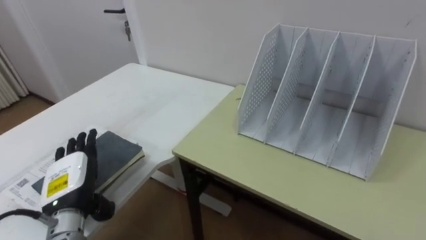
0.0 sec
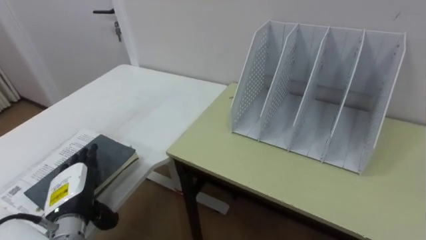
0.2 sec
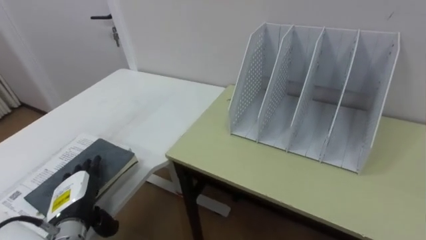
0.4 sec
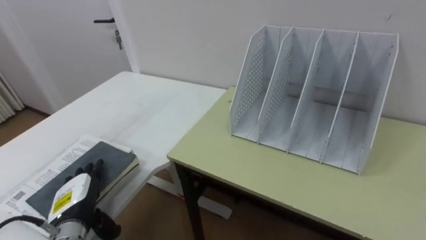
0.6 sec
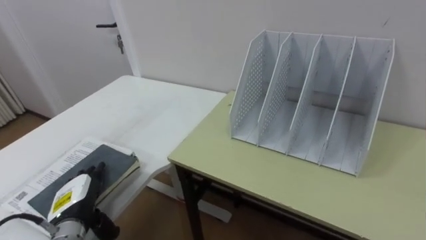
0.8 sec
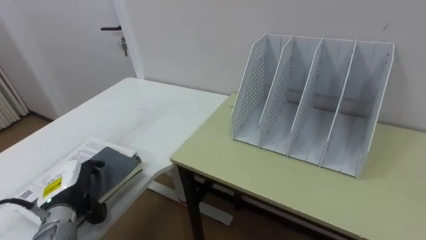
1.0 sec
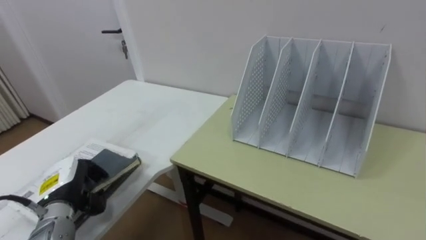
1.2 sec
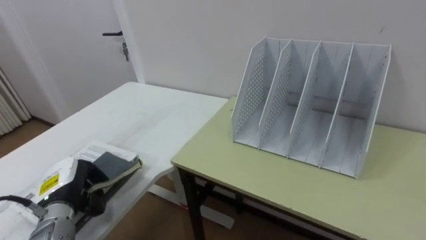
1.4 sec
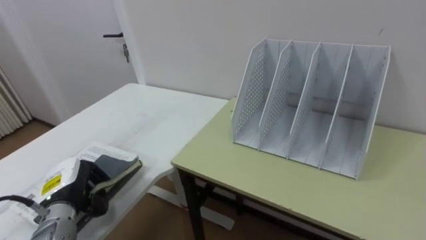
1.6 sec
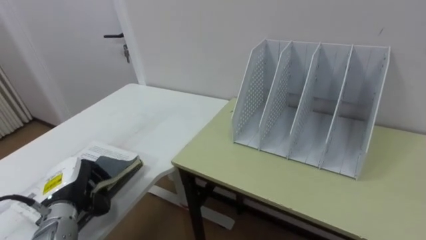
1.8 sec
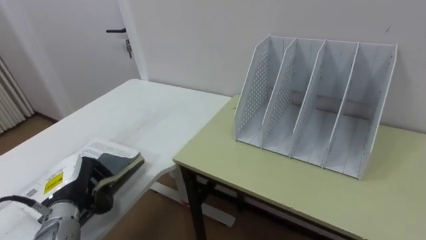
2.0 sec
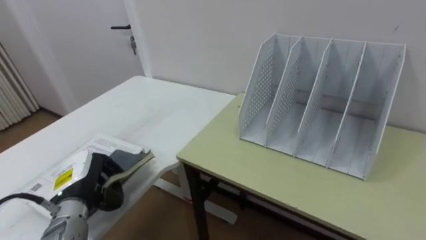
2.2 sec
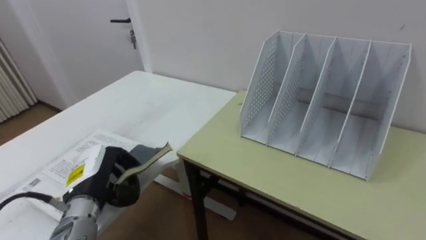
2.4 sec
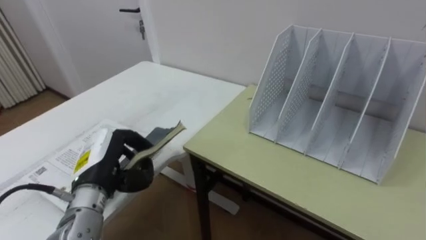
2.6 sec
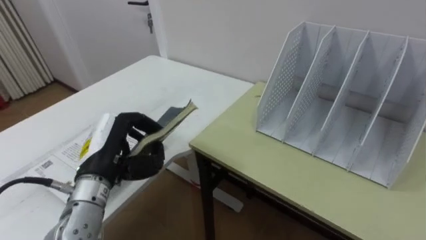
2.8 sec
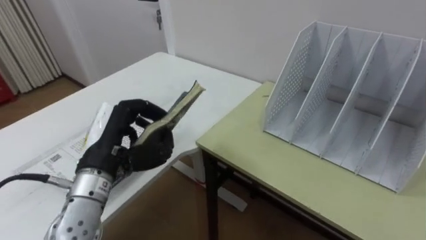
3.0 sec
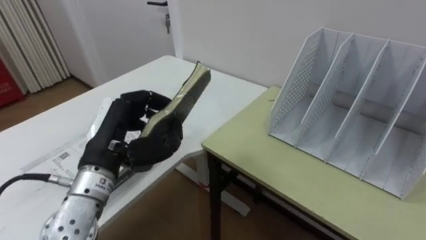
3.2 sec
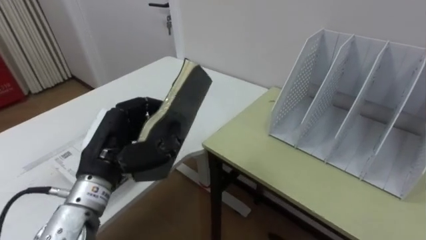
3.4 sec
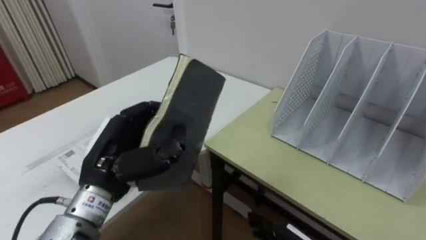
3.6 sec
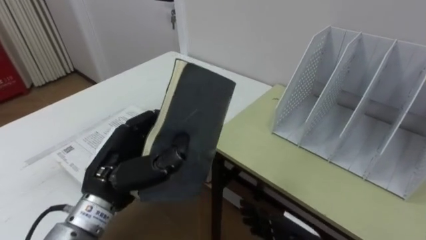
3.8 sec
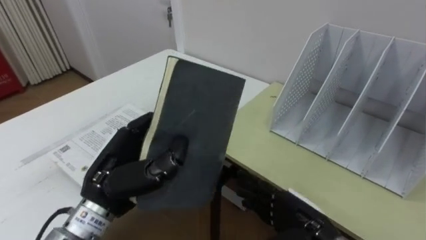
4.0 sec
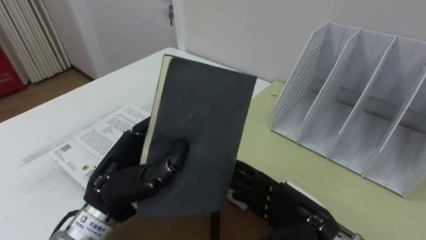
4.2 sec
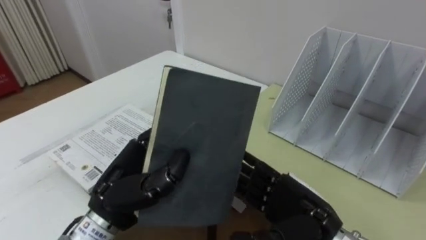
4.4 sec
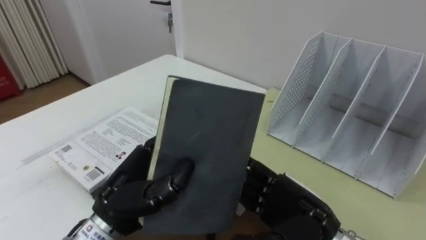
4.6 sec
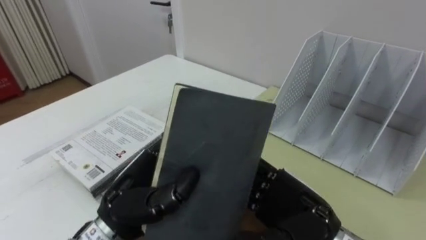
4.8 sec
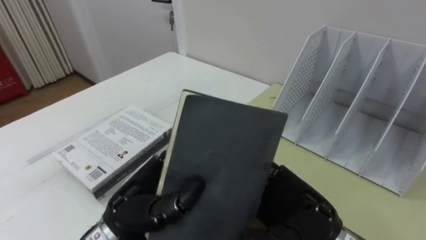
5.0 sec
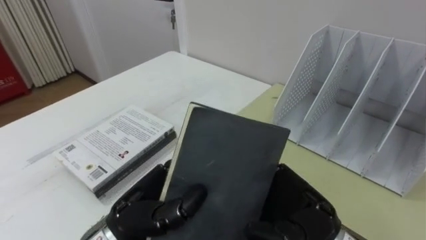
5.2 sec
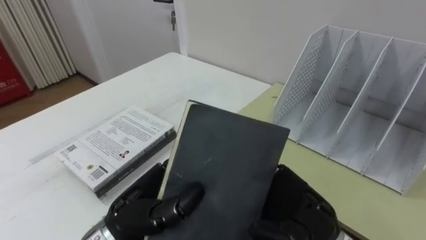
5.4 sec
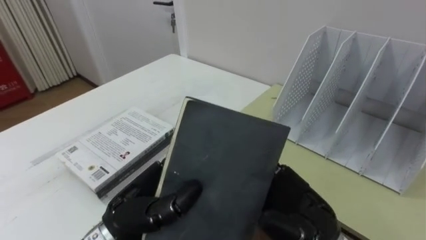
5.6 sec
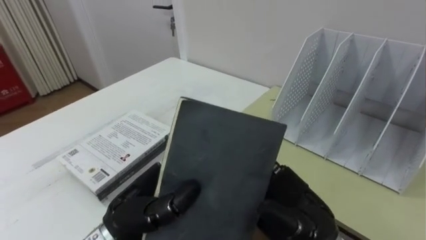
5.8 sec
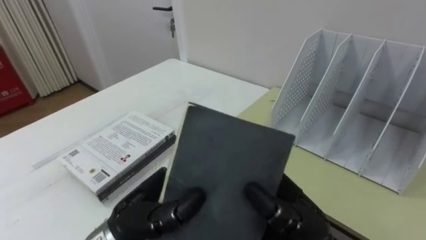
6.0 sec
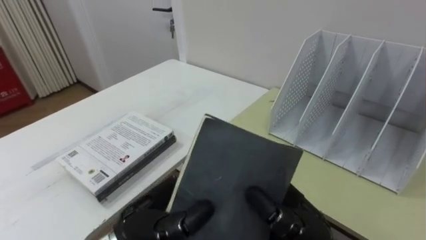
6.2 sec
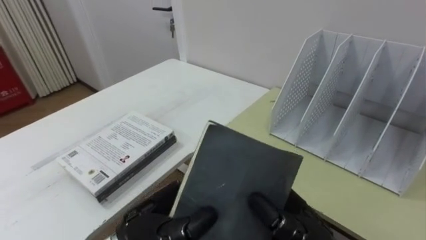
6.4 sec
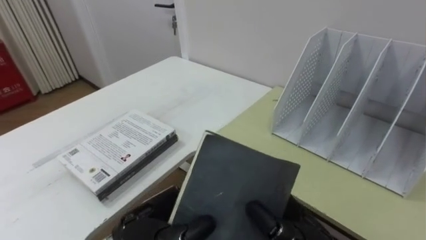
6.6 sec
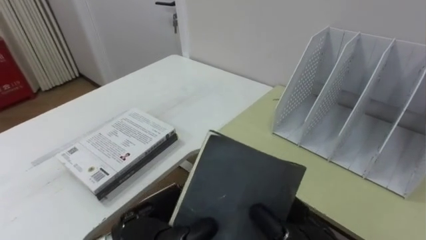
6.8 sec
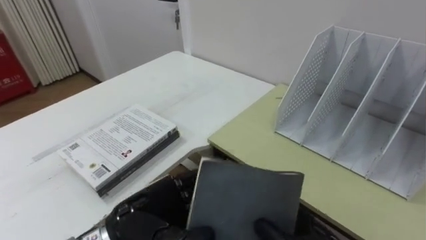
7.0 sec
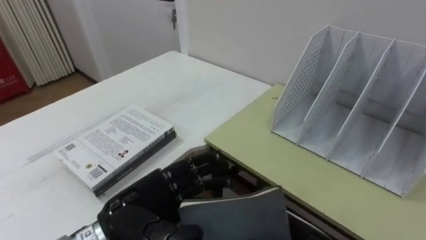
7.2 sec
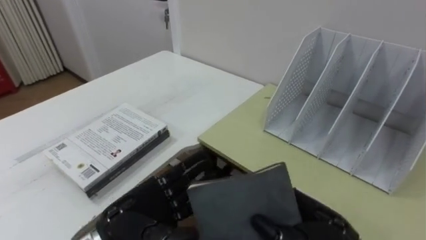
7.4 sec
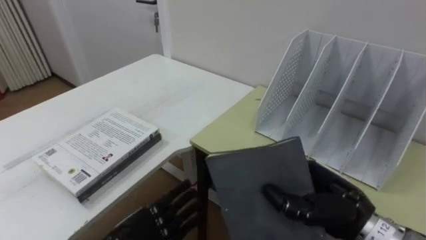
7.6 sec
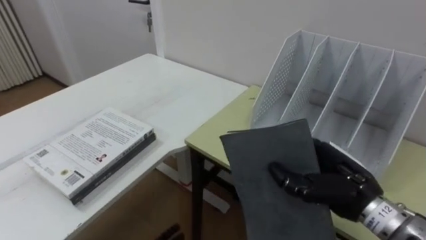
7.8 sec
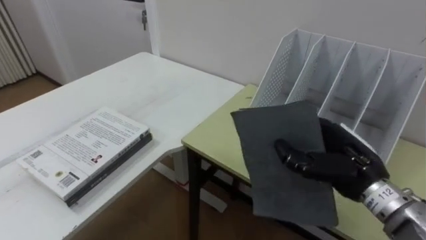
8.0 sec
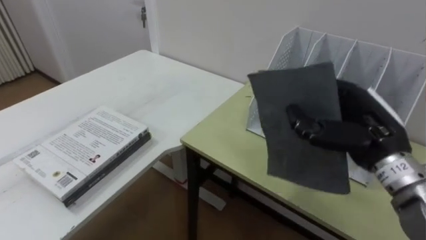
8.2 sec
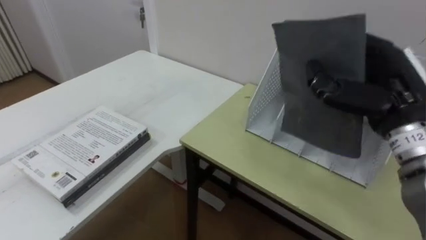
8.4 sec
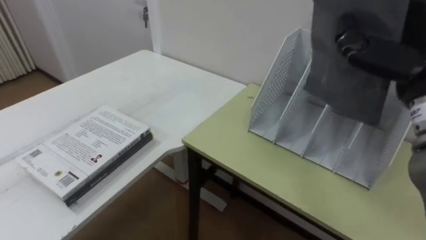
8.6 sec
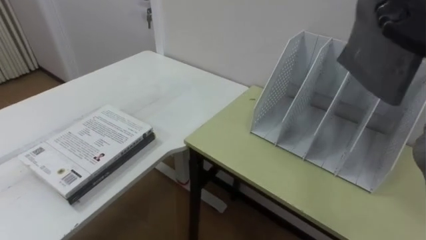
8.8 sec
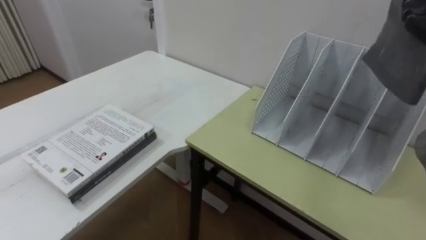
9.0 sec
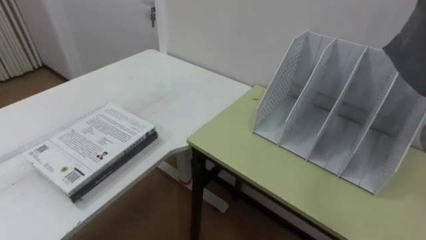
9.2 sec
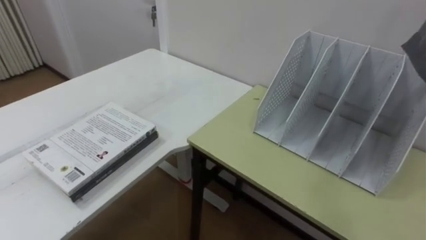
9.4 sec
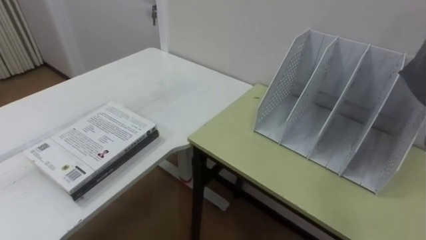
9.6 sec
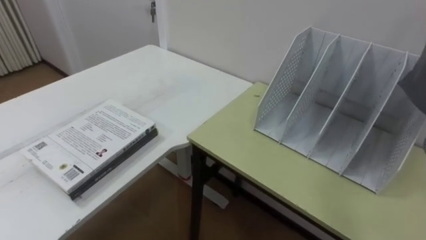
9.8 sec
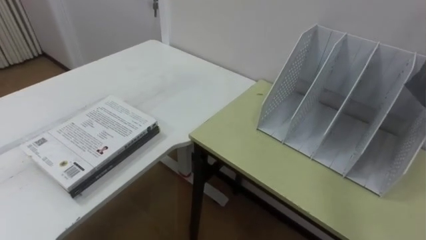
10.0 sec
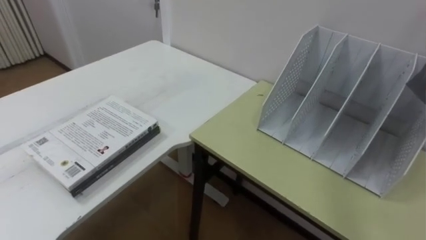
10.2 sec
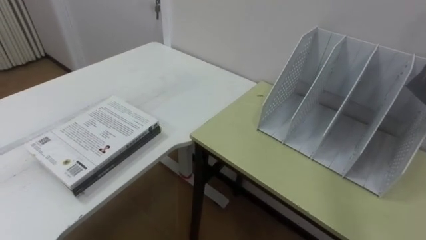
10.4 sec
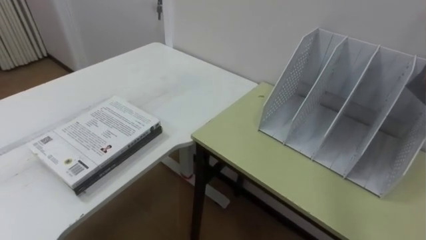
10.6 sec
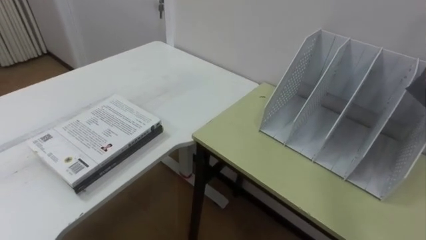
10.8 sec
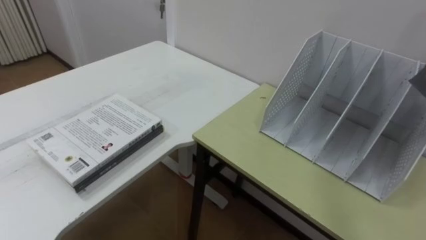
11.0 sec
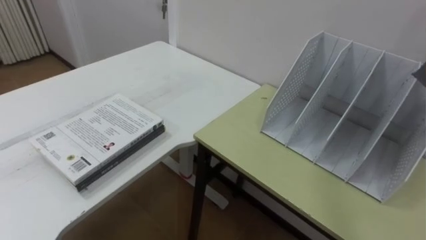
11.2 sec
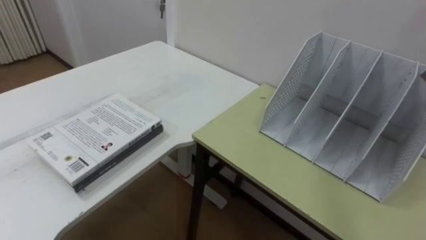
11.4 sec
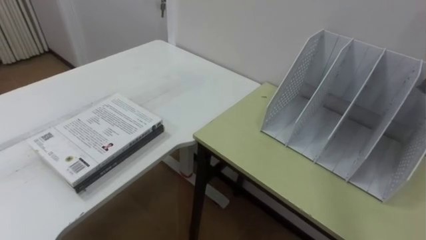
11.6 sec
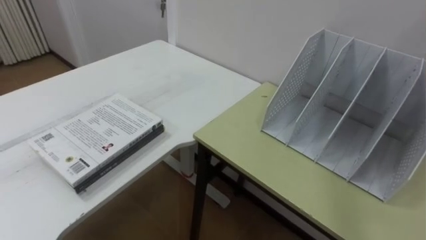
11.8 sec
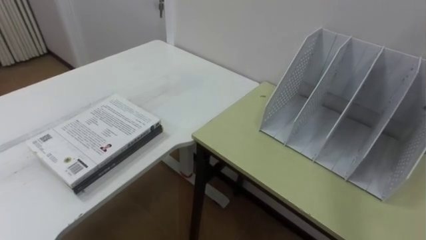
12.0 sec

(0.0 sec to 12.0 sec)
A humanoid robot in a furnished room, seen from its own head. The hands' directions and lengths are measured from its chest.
Task of the whole recording: Put the books on the table onto the bookshelf.
0.0 sec - 1.6 sec: The left hand closes.
1.6 sec - 3.0 sec: The left hand is displaced upward and to the right by roughly 15 cm.
3.0 sec - 4.4 sec: The left hand heads backward, covering roughly 5 cm.
4.4 sec - 6.0 sec: The right hand shifts by about 5 cm, and closes.
6.0 sec - 7.6 sec: The left hand heads downward, covering some 10 cm, and opens its fingers. Meanwhile the right hand travels to the right by roughly 5 cm.

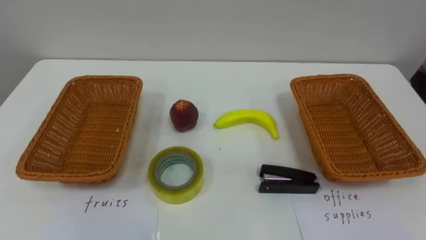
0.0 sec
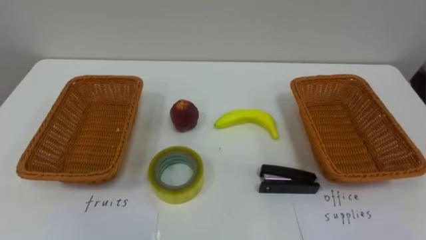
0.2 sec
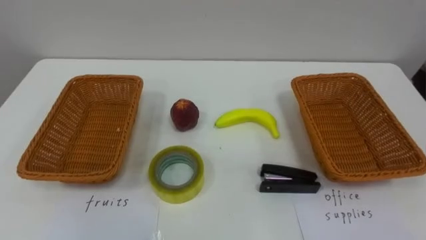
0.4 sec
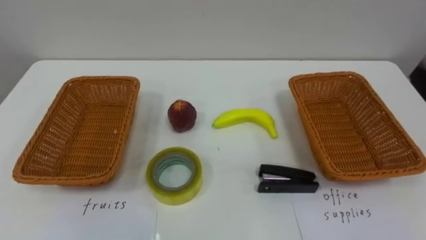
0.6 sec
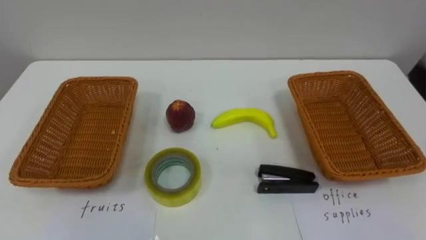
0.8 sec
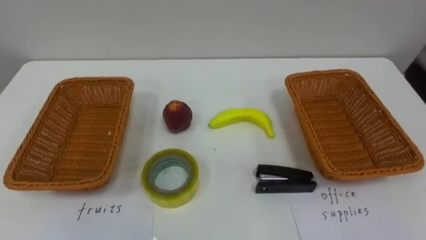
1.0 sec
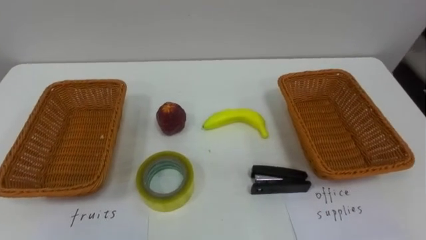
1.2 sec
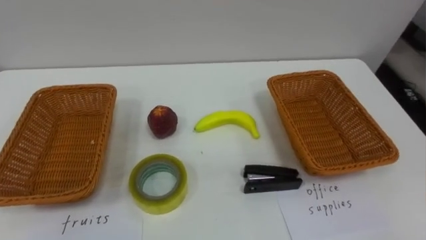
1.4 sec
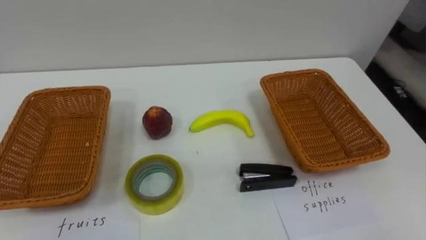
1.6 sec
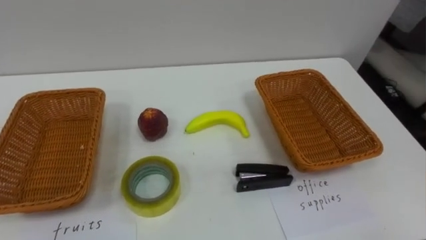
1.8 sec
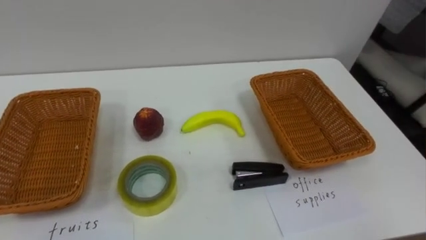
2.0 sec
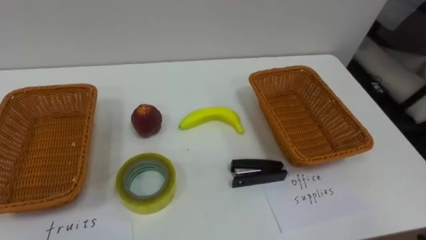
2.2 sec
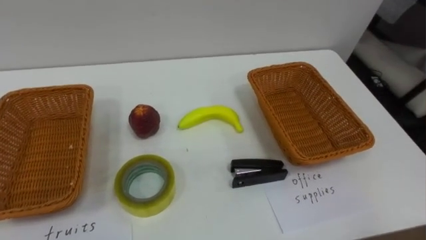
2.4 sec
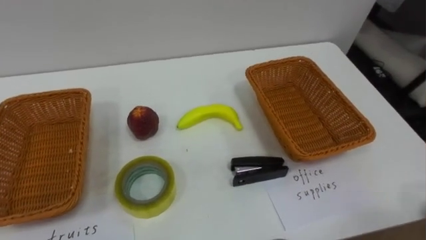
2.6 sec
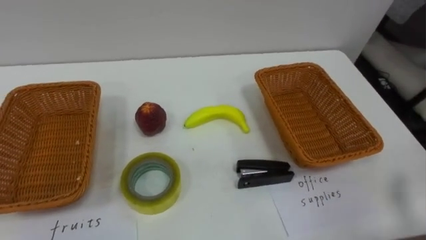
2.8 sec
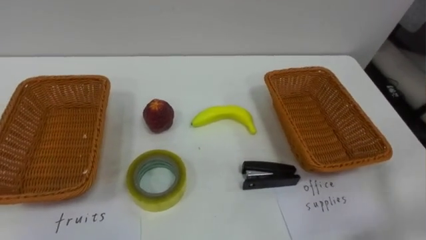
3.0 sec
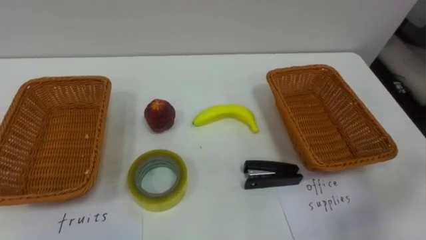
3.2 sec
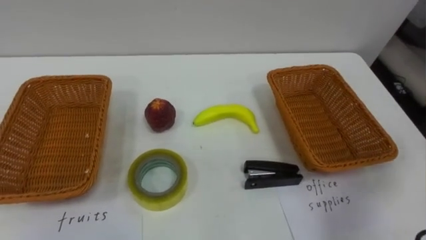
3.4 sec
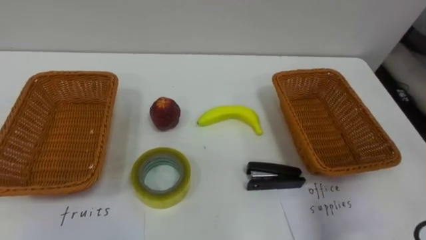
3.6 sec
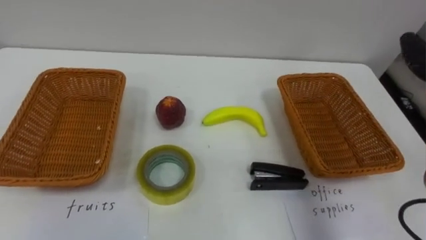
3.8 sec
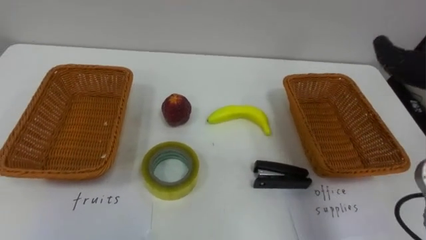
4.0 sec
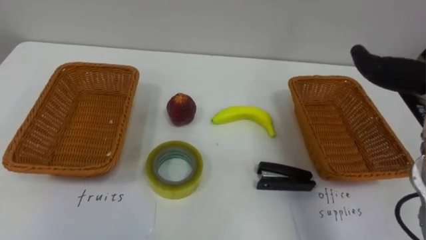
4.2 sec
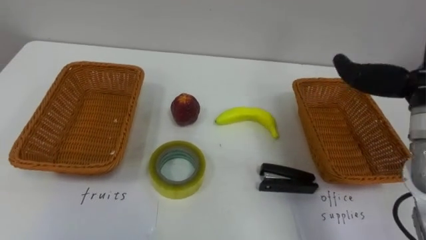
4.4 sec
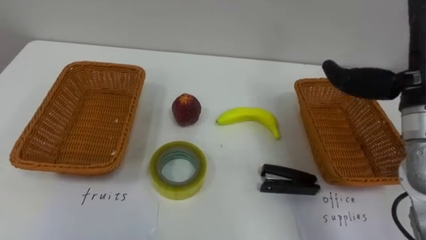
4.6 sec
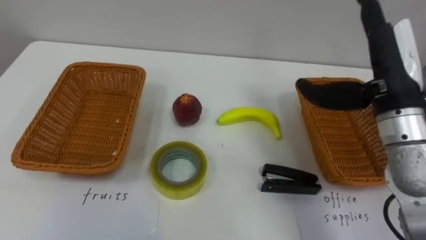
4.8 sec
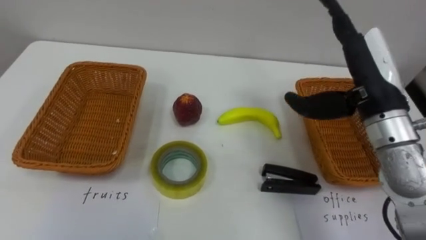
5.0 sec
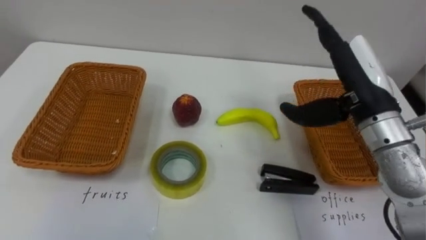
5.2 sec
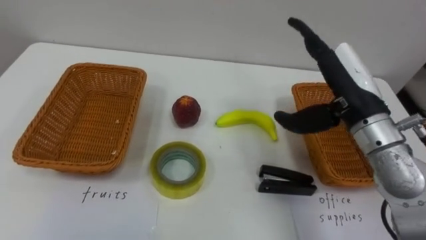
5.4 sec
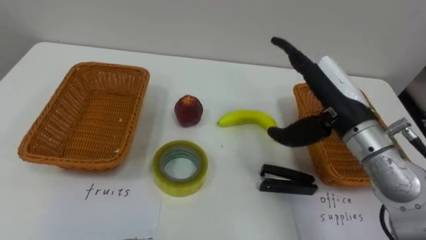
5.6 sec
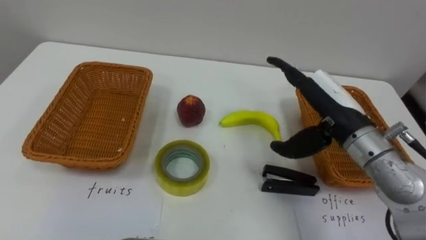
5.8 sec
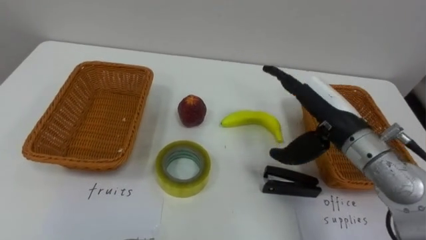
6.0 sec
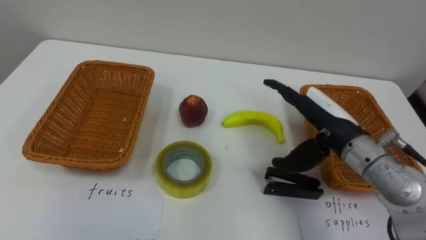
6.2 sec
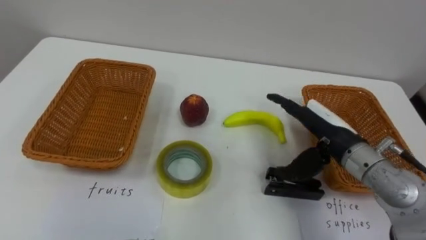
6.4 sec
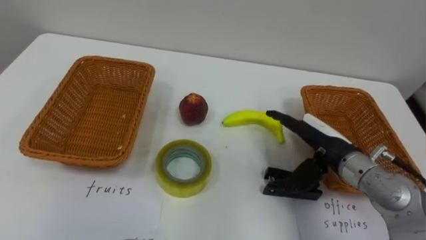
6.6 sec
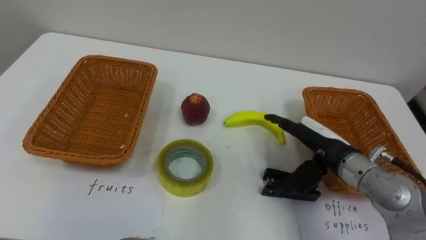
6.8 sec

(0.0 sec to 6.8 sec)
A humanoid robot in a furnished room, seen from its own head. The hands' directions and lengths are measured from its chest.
Task of the whole recording: Separate the items on the table and place them into the two baskets.
5.4 sec - 6.8 sec: The right hand is displaced downward by about 10 cm.
